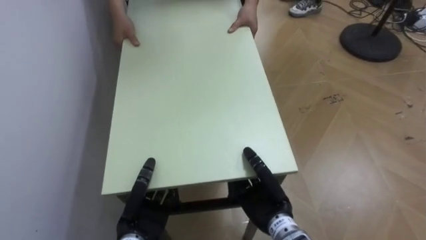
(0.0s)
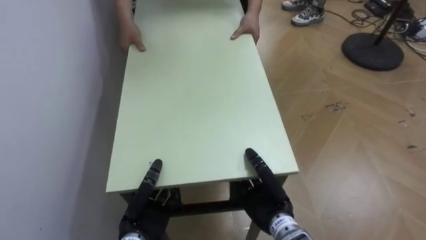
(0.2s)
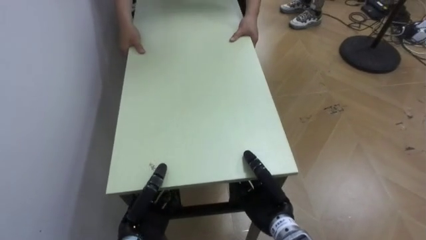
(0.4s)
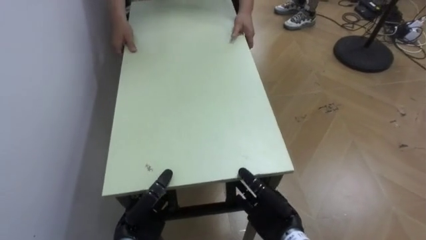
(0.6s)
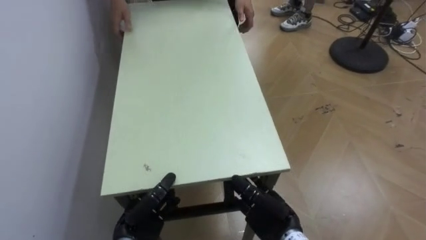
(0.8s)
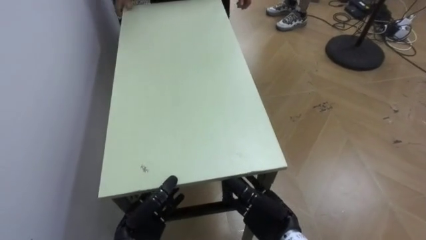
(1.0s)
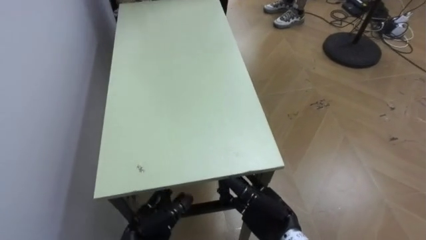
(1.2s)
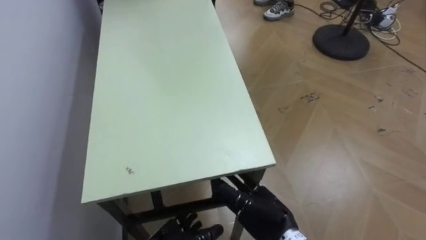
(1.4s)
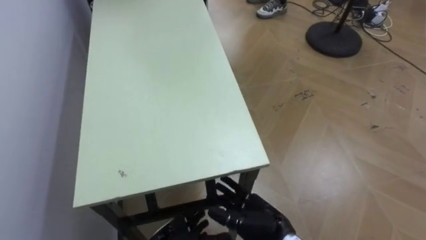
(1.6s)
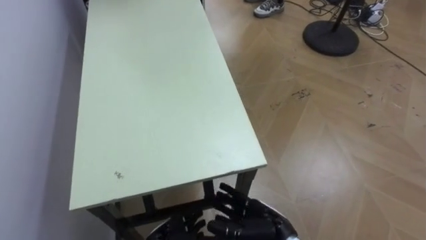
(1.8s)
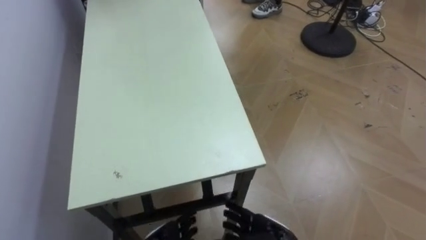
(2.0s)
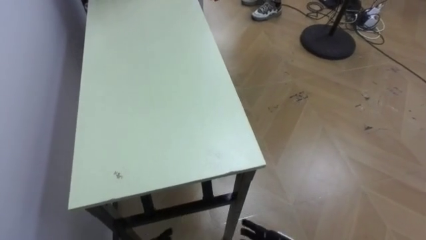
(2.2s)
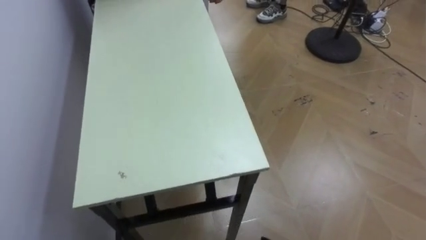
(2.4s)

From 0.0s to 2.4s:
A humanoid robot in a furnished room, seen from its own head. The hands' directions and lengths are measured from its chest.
Task of the whole recording: Move the table to the back left with someone.
From 0.0s to 1.2s: The right hand opens up, while the left hand opens its fingers.

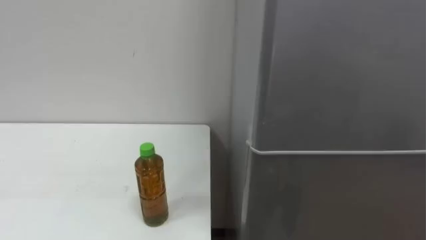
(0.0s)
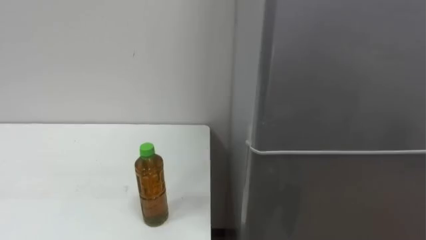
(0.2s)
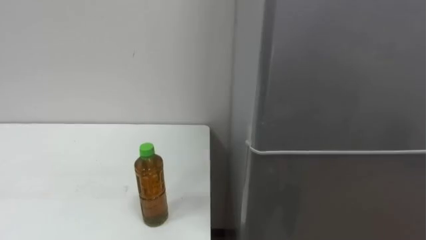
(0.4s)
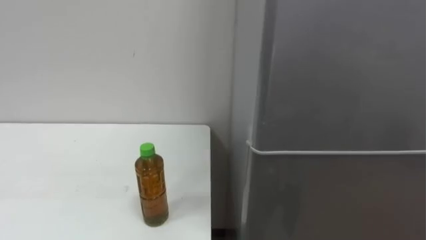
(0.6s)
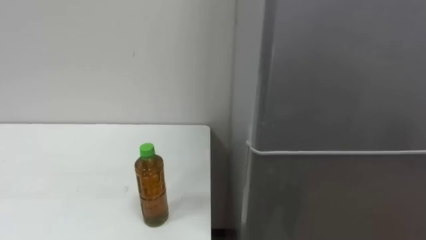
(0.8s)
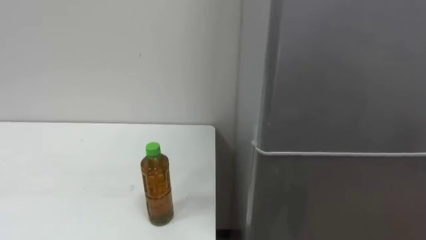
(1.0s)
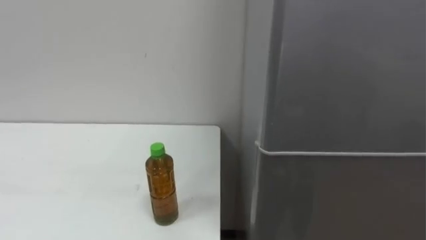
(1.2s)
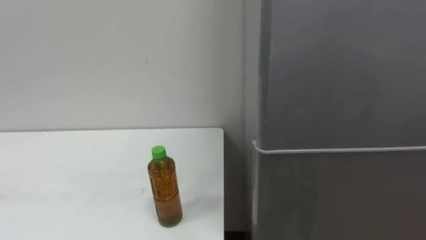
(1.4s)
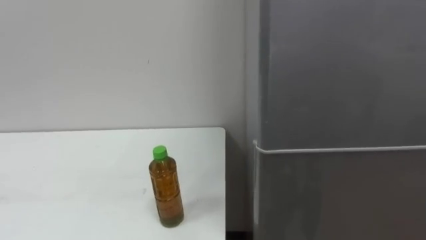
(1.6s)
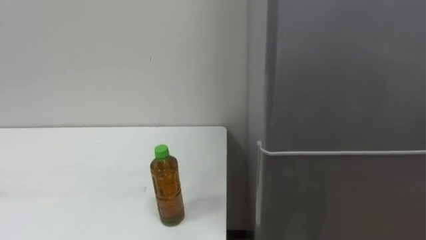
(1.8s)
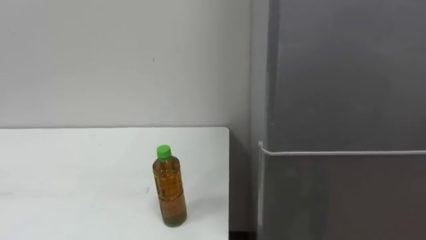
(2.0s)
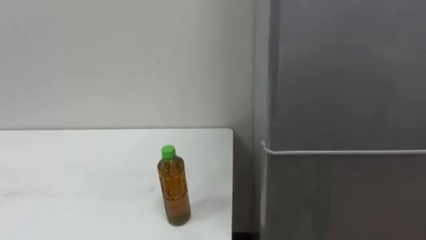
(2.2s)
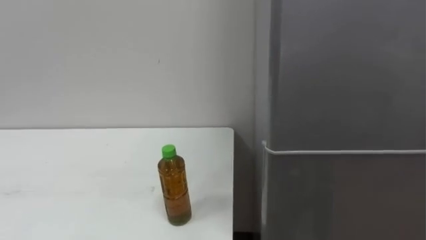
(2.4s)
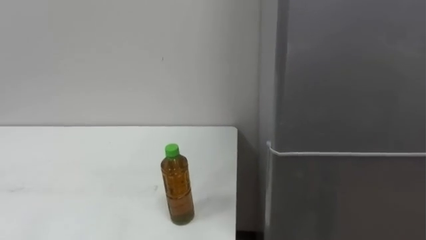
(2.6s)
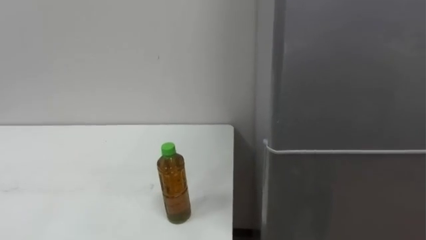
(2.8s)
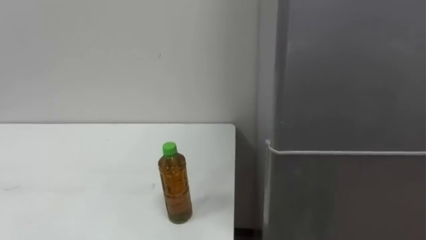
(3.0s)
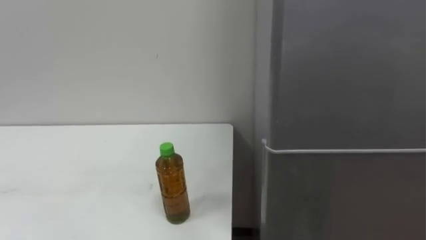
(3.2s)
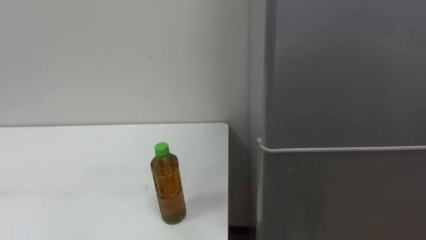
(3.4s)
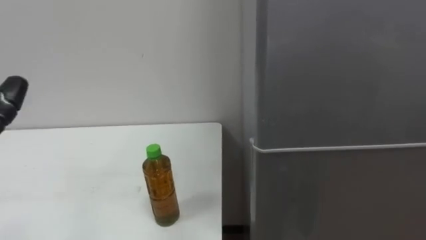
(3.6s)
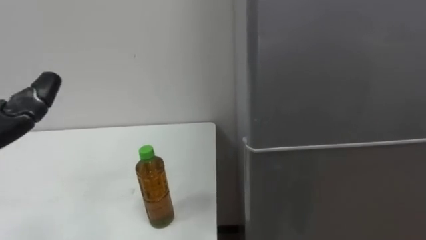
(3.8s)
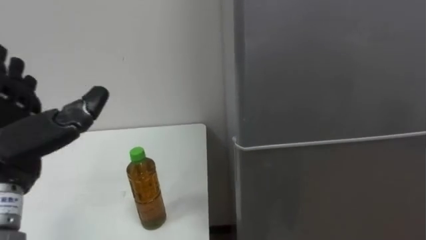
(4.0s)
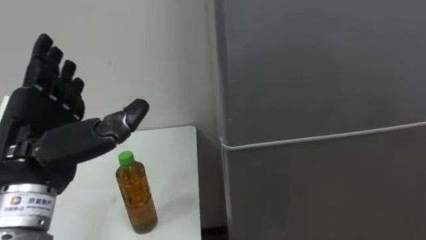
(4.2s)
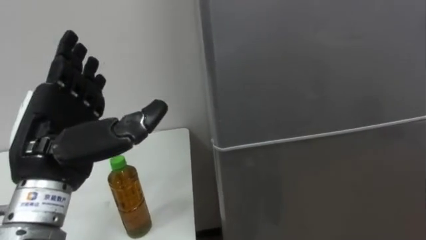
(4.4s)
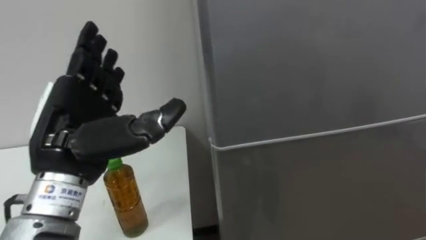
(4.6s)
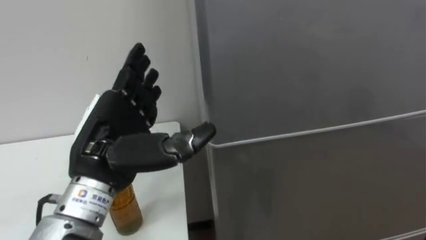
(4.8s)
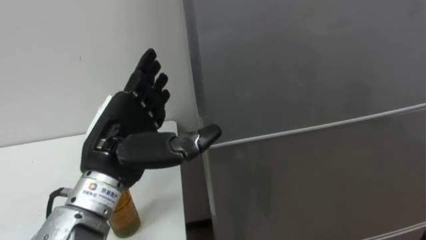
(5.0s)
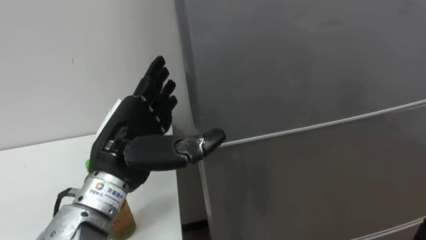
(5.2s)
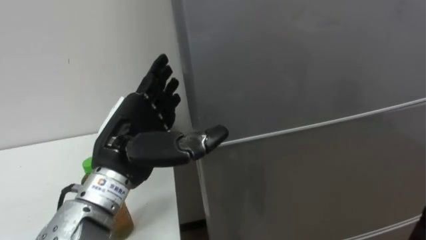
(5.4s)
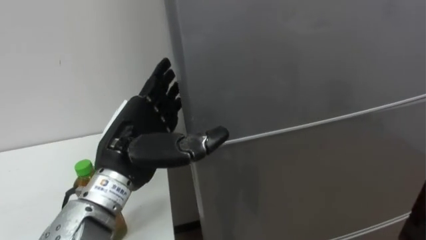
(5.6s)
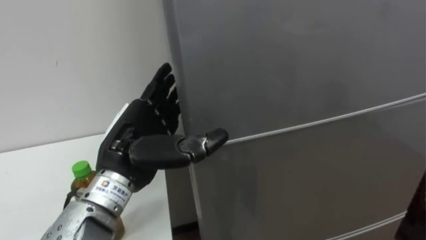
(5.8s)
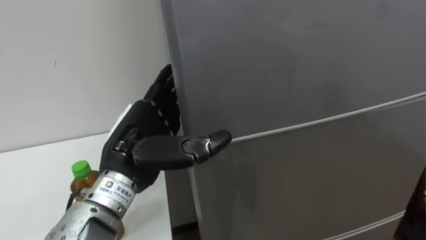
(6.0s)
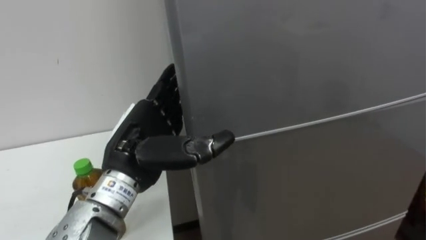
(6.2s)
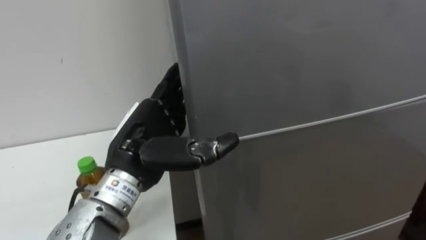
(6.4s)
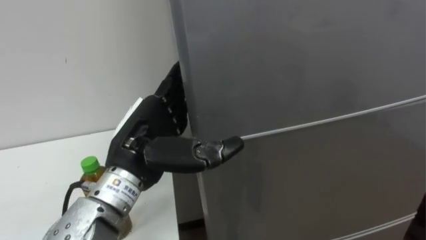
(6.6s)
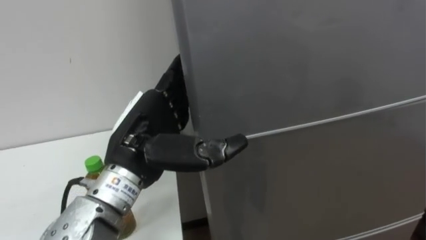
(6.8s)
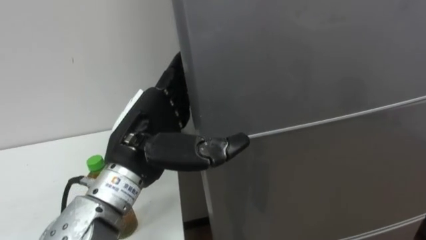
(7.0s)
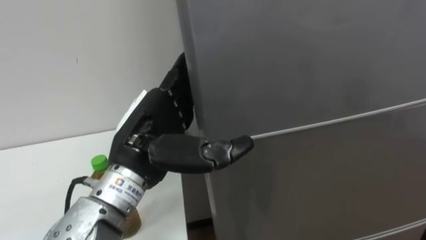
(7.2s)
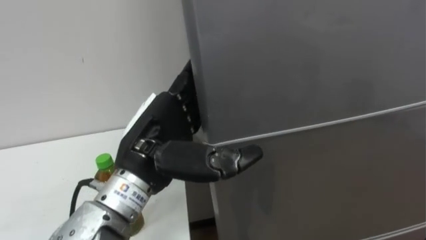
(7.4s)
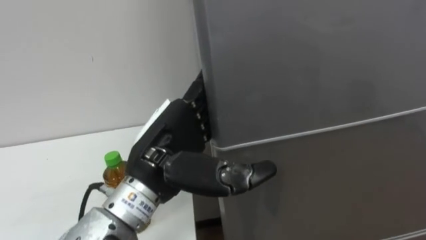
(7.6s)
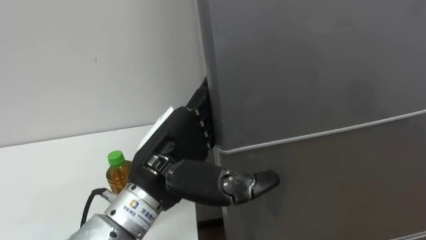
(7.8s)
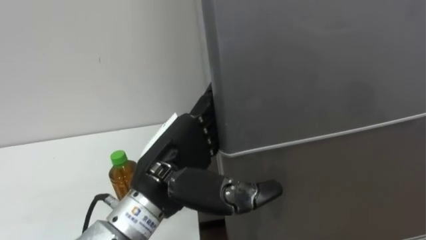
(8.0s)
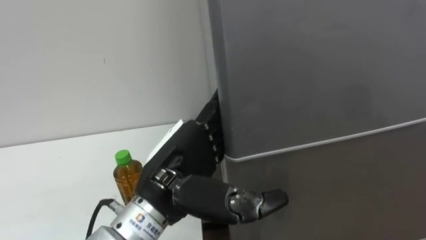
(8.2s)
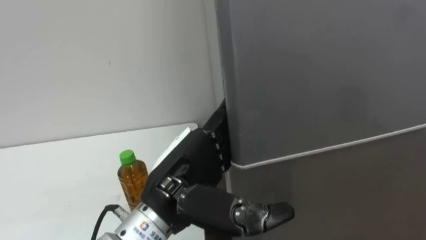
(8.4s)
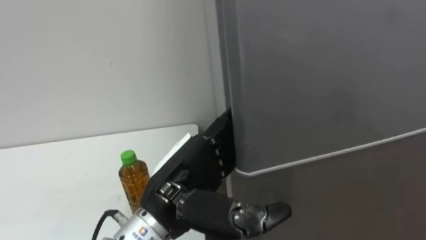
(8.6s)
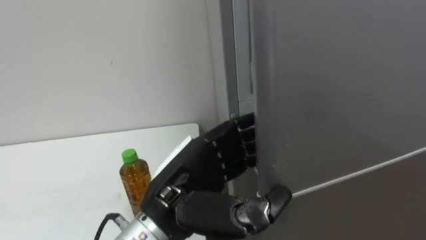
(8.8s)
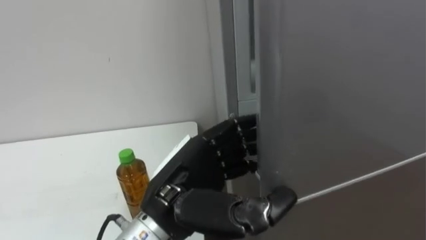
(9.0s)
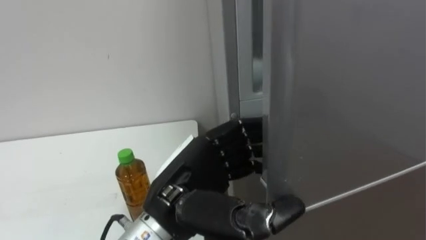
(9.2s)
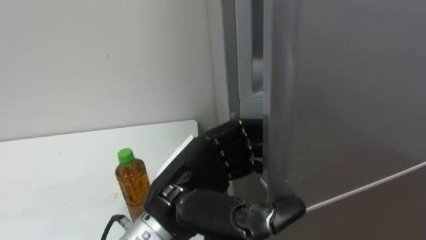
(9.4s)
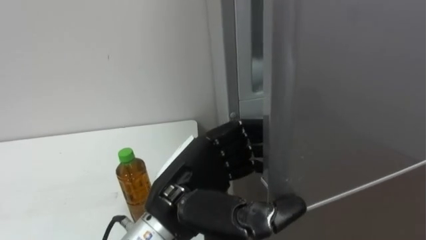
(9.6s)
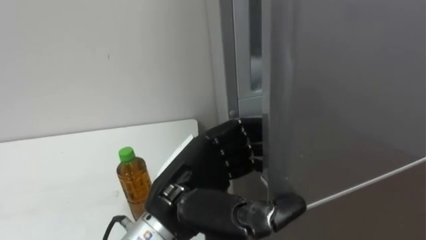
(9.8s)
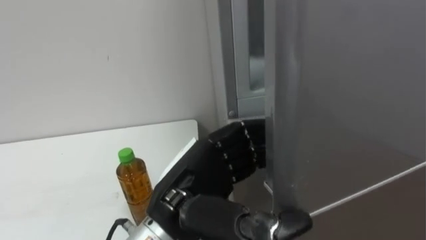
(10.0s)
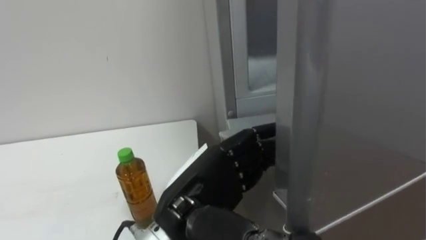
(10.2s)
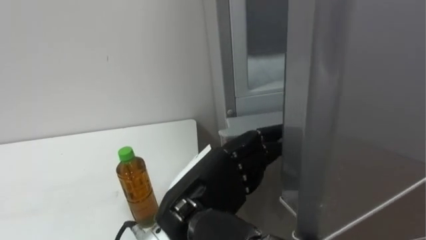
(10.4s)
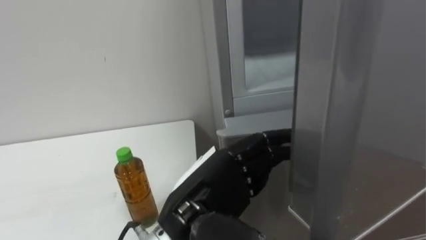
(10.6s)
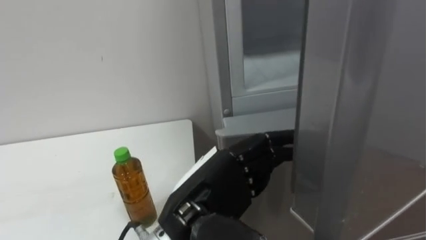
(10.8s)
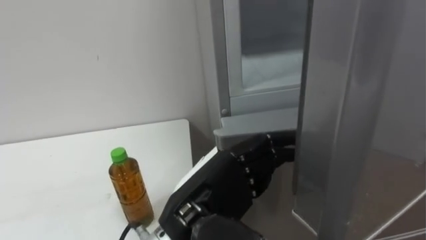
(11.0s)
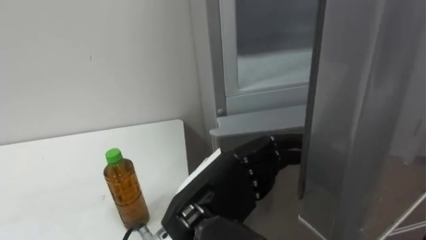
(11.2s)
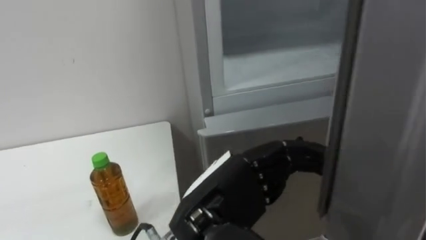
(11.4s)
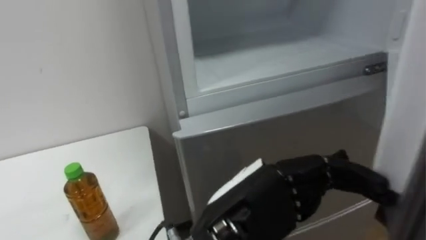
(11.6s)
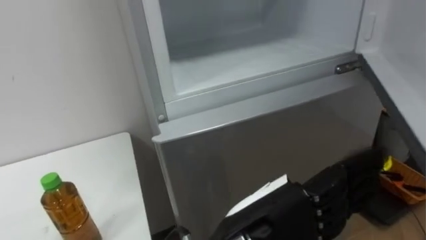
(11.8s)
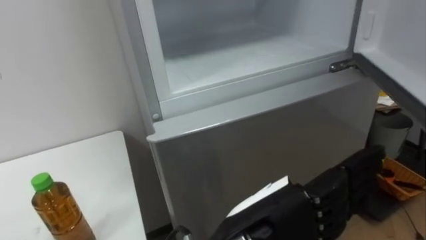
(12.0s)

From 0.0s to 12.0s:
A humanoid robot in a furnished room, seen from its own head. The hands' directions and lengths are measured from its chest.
Task of the whole recording: Open the upper refrigerator door, put the drink from the table into the refrigerator, and then close the refrigerator door.
From 4.4s to 6.0s: The left hand moves to the right, roughly 10 cm.
From 6.0s to 7.6s: The left hand moves approximately 5 cm.
From 7.6s to 9.0s: The left hand closes up.
From 9.0s to 10.4s: The left hand opens.
From 10.4s to 12.0s: The left hand is displaced to the right by approximately 5 cm.

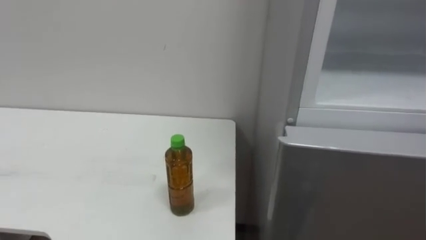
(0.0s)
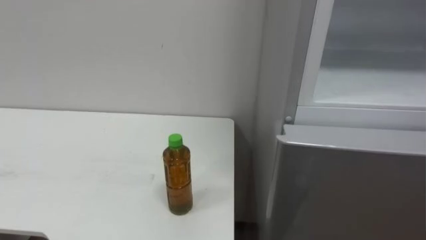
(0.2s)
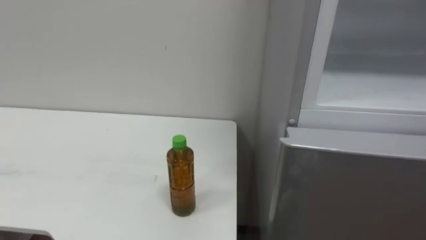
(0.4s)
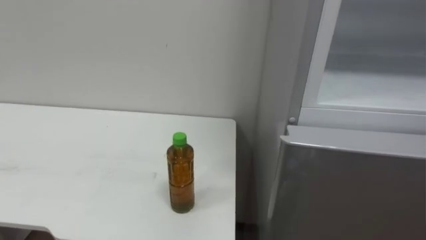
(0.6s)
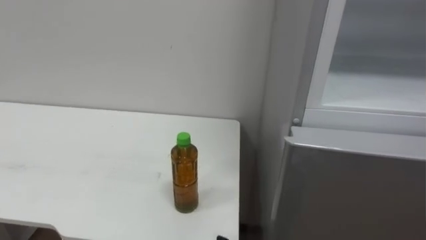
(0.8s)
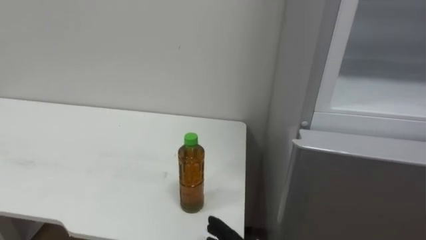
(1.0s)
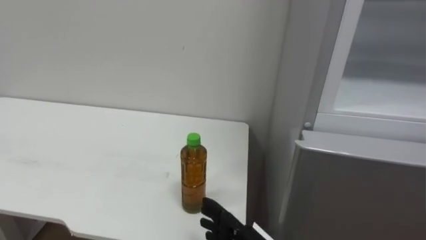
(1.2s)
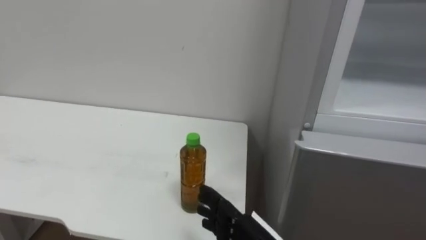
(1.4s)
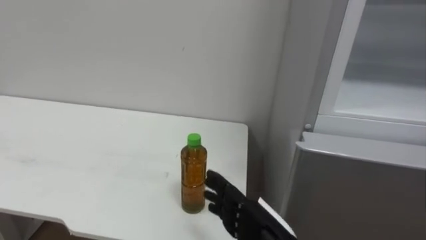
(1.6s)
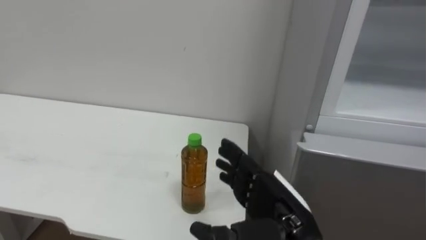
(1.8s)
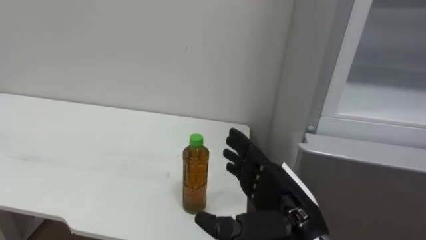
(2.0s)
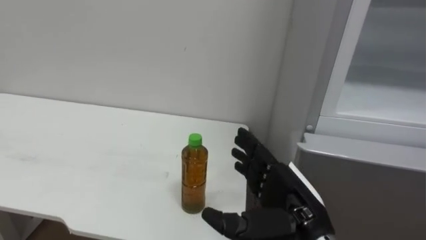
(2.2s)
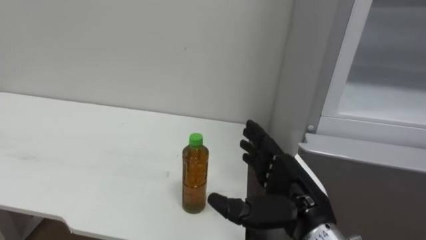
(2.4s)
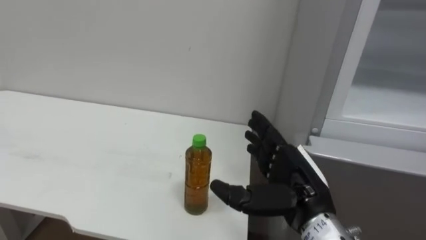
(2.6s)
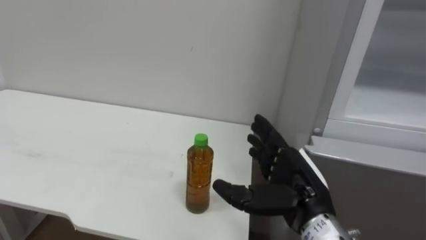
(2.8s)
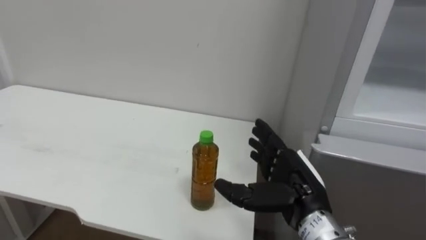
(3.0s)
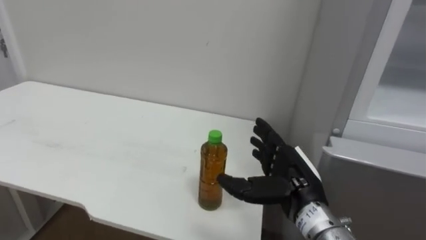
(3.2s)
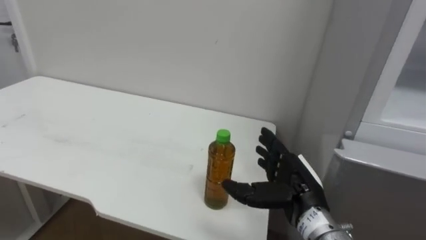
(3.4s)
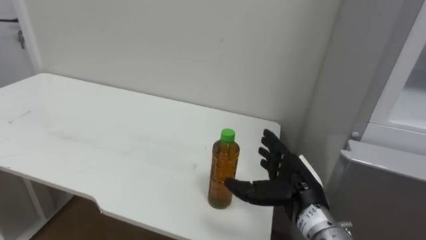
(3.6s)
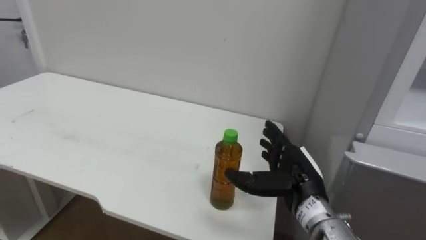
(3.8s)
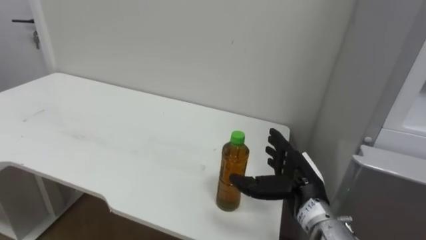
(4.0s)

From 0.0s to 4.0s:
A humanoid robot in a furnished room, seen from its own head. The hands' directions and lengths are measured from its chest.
Task of the whole recording: Open the upper refrigerator door, put the drink from the table into the refrigerator, and then close the refrigerator door.
From 2.6s to 4.0s: The right hand shifts roughly 5 cm forward and downward.
